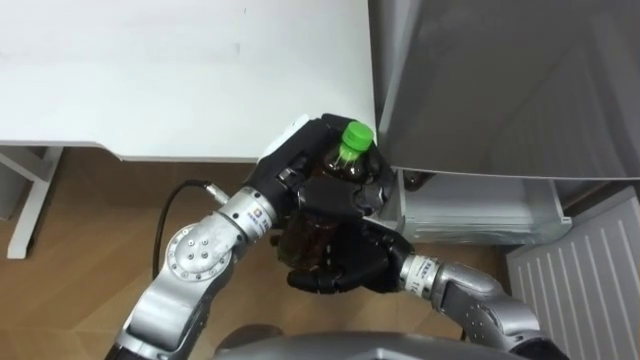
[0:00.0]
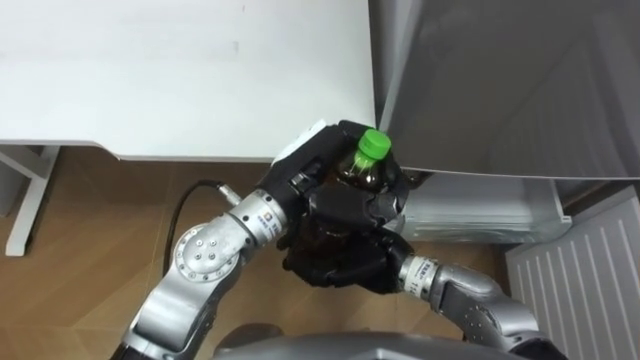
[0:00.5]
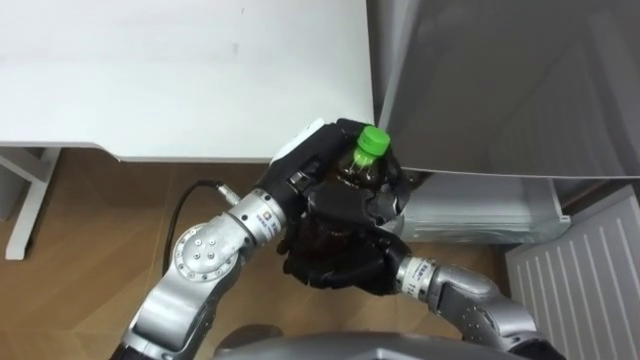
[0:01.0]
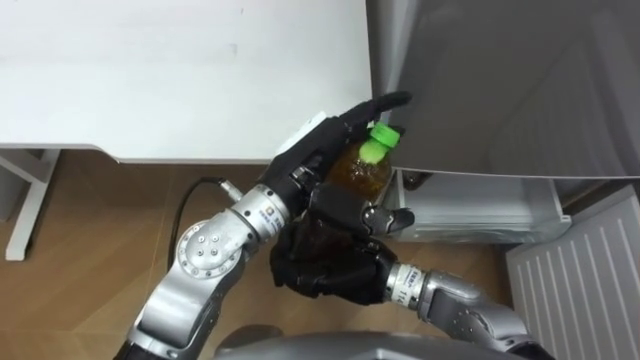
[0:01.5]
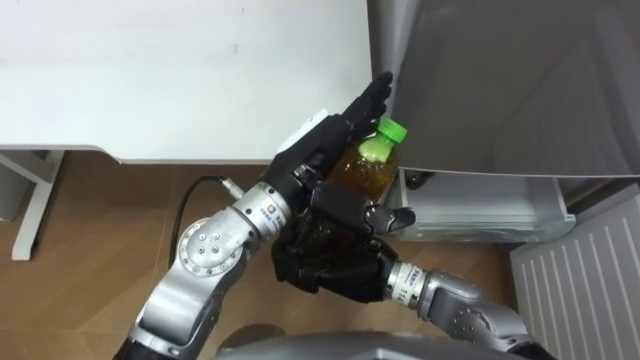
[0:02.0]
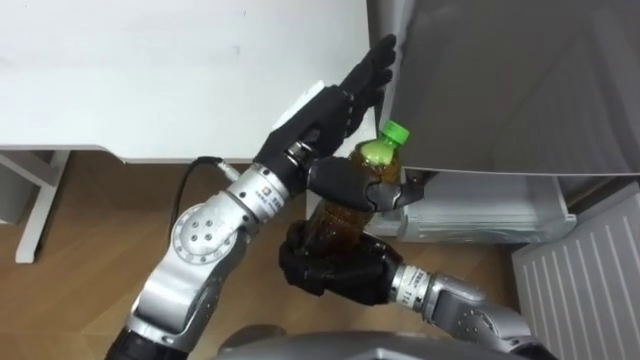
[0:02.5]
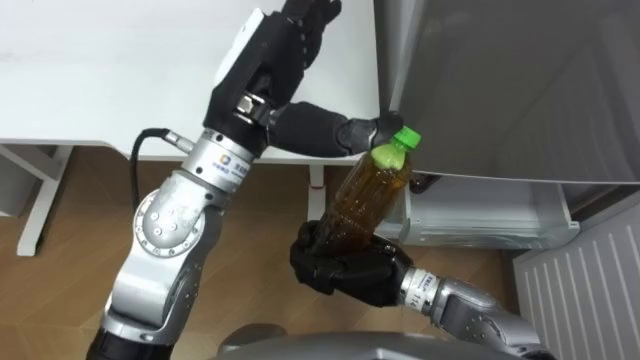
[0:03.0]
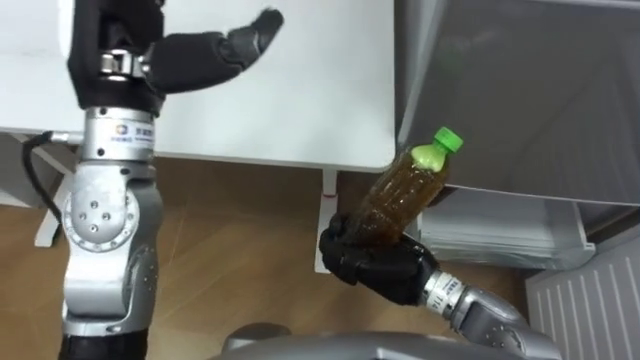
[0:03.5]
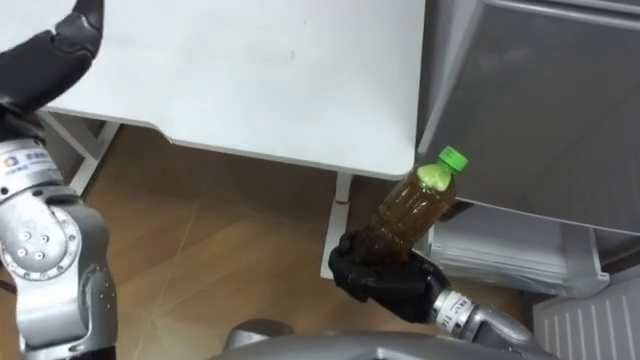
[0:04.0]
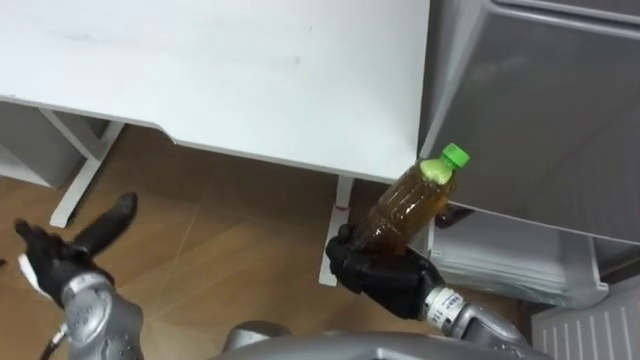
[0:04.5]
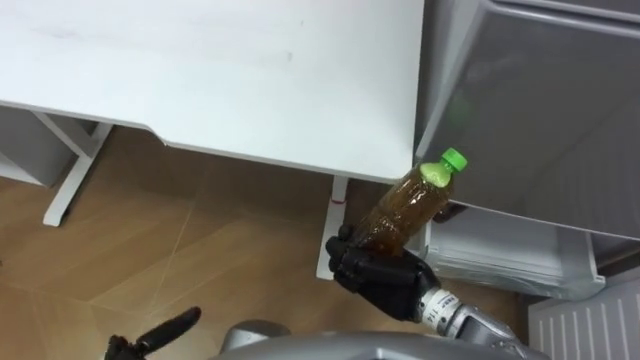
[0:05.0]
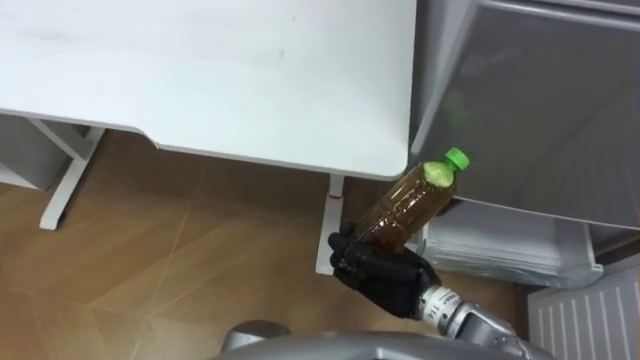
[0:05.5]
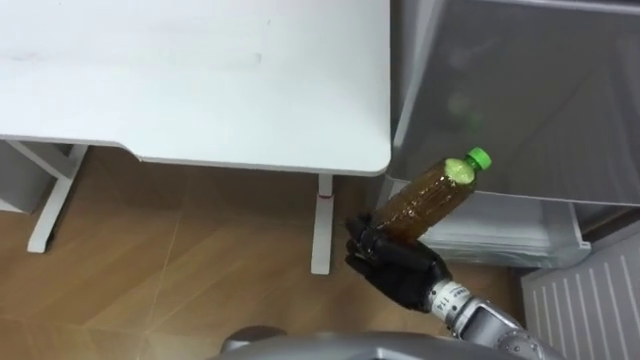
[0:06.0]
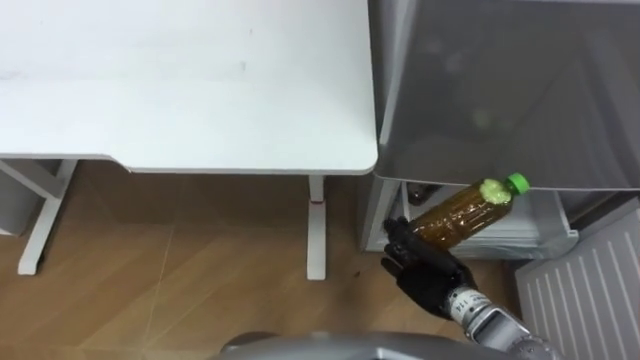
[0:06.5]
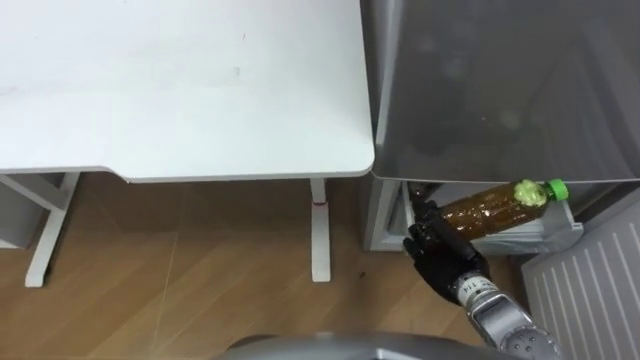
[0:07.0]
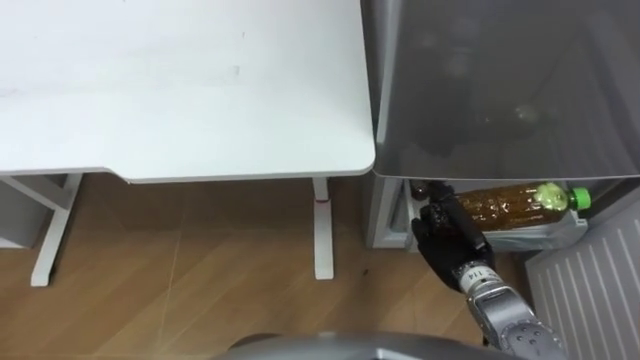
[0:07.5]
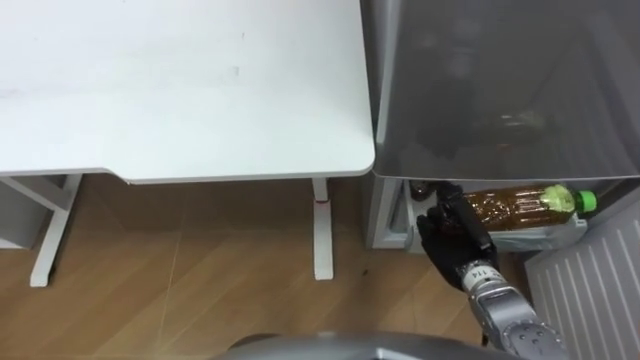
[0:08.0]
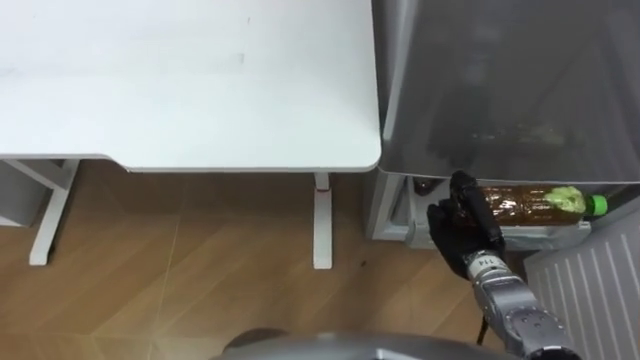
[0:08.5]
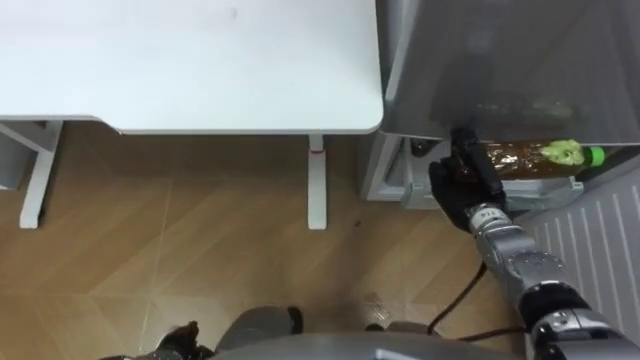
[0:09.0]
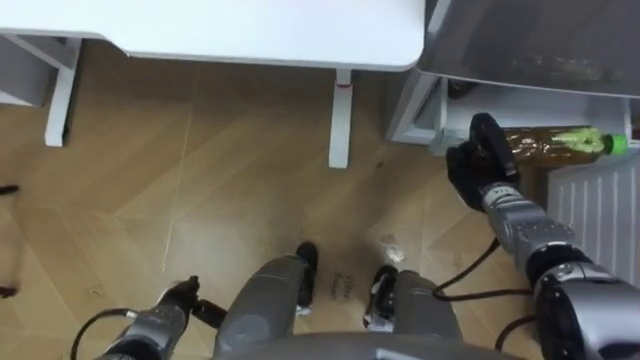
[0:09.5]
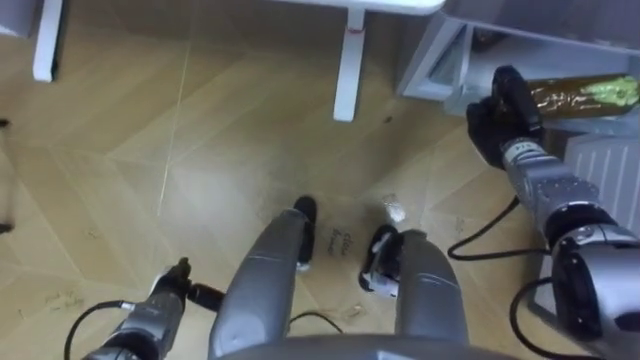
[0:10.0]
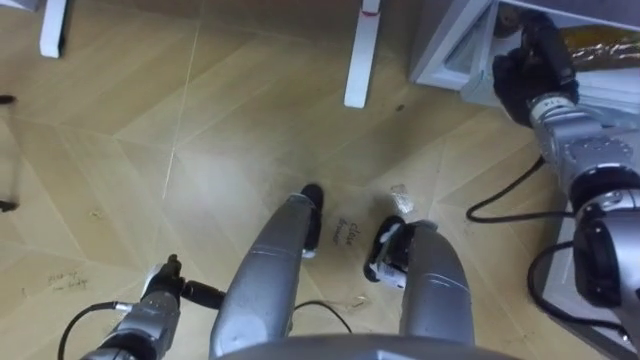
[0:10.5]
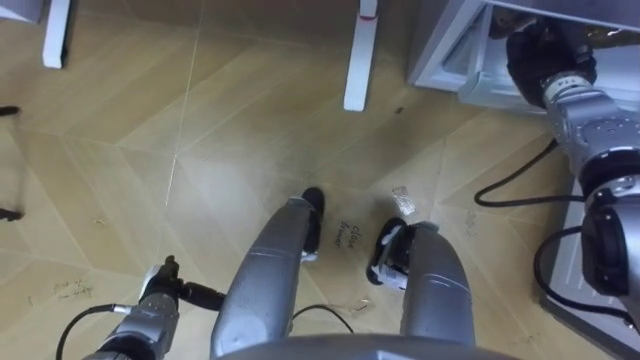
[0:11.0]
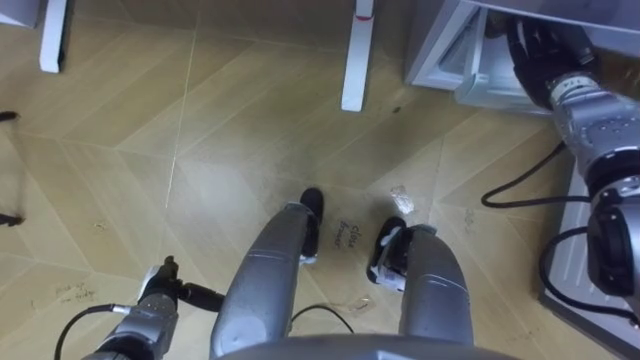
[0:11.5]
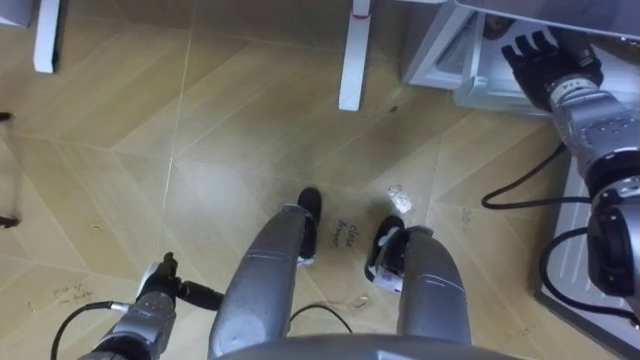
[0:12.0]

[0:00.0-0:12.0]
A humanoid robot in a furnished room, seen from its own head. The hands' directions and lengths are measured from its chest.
Task of the whole recording: Place the drink on the table on the bottom shelf of the refrigerator, then close the drawer and the refrigerator door.
0:00.0 to 0:02.0: The left hand opens its fingers, while the right hand closes its fingers.
0:02.0 to 0:04.0: The right hand heads to the right, covering approximately 5 cm.
0:06.0 to 0:08.0: The right hand travels to the right by about 10 cm.
0:08.0 to 0:10.0: The right hand goes about 15 cm forward and upward.
0:10.0 to 0:12.0: The right hand goes approximately 10 cm upward and forward, and opens up.

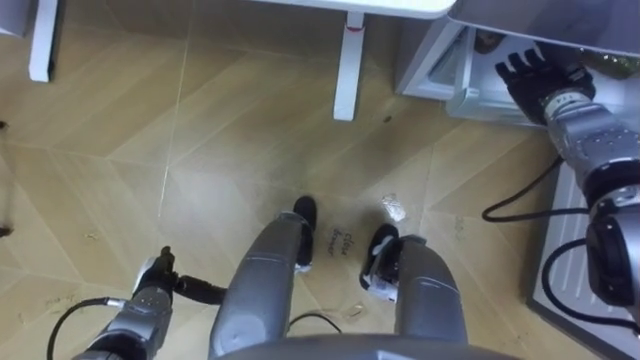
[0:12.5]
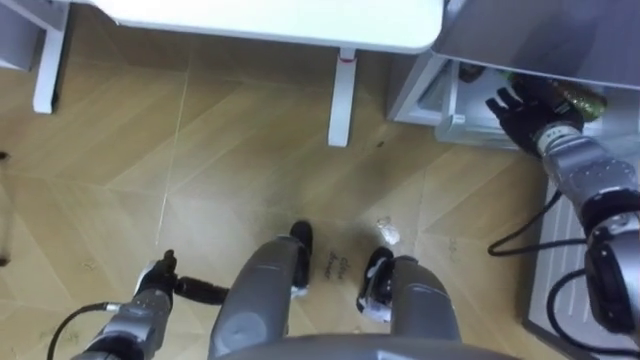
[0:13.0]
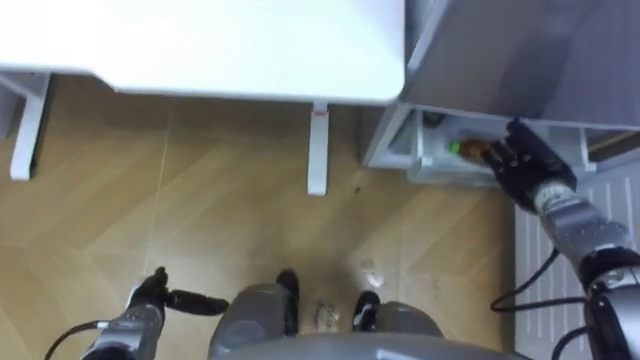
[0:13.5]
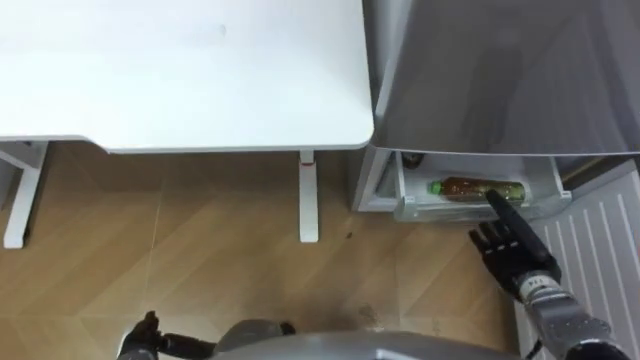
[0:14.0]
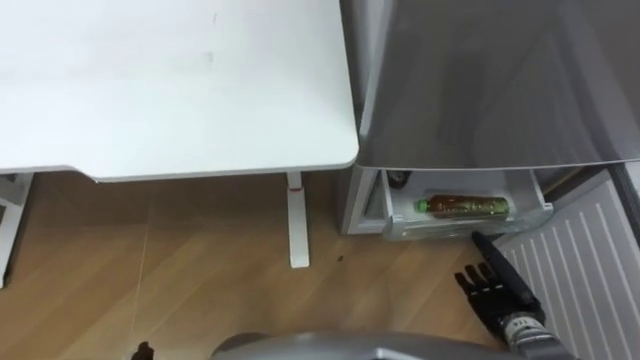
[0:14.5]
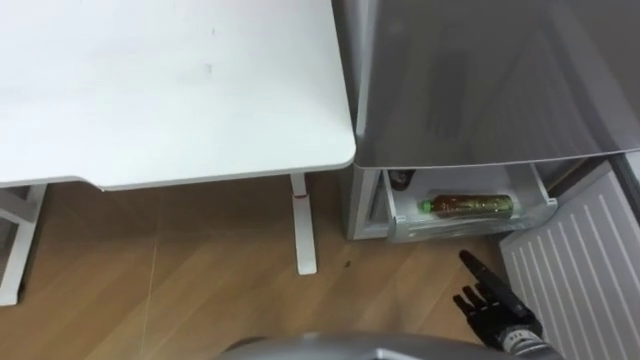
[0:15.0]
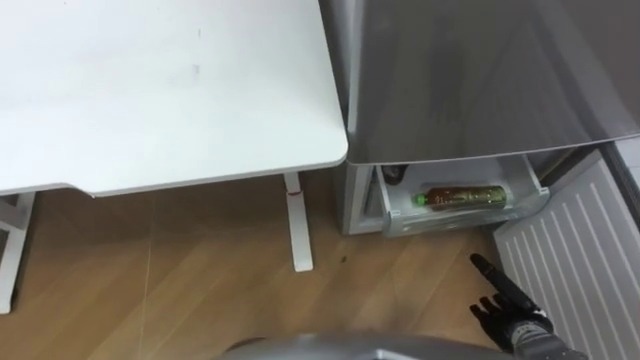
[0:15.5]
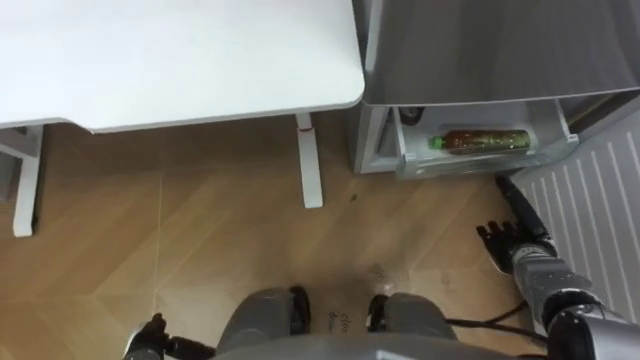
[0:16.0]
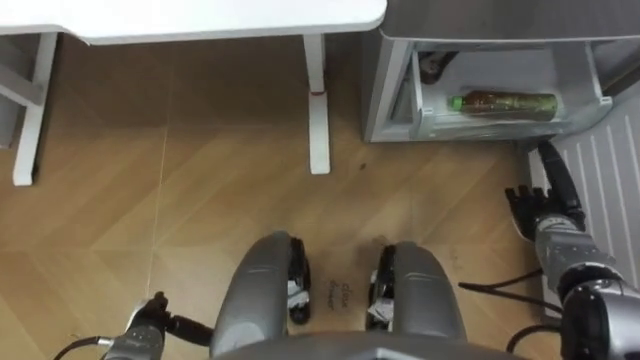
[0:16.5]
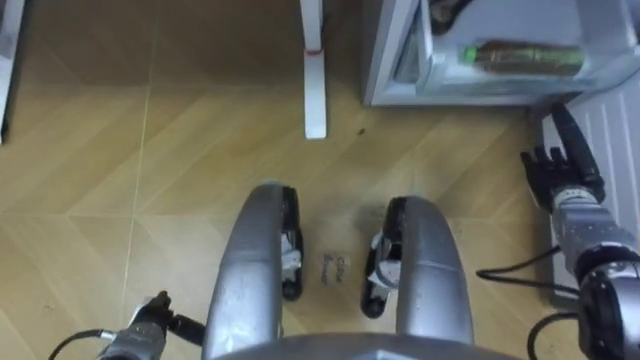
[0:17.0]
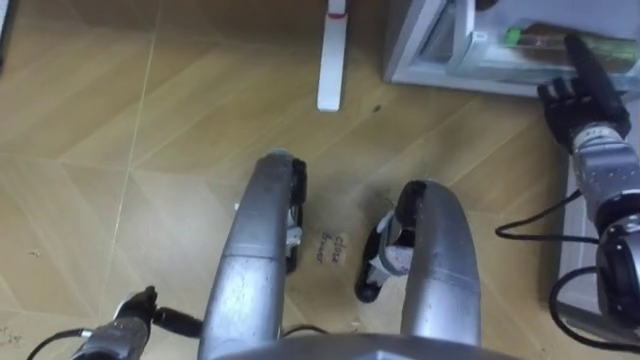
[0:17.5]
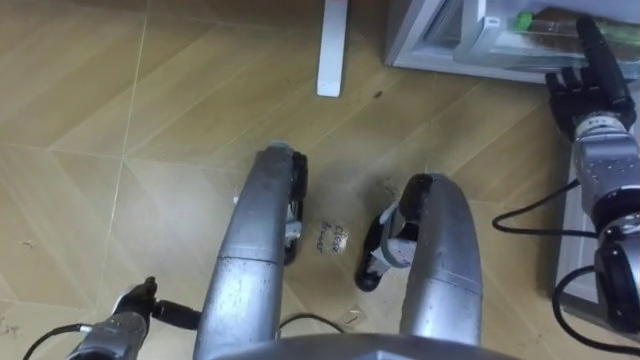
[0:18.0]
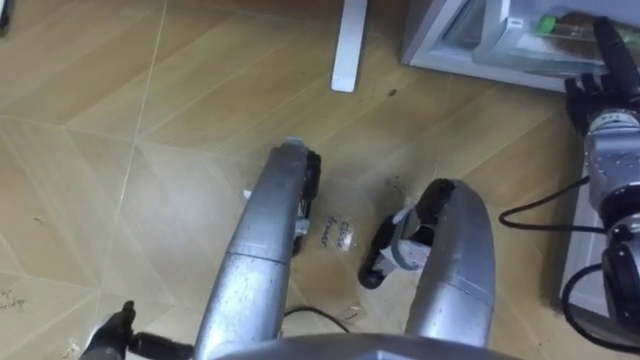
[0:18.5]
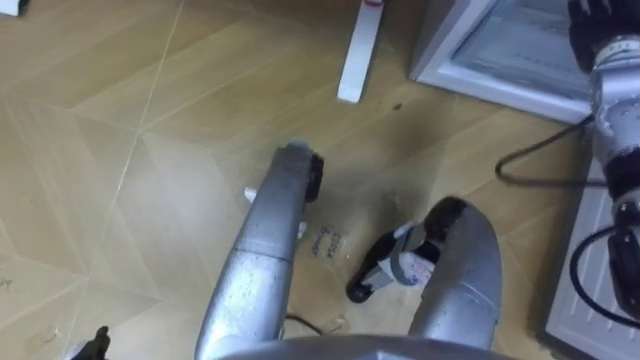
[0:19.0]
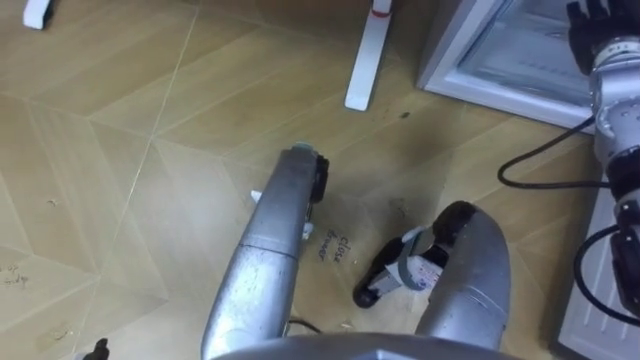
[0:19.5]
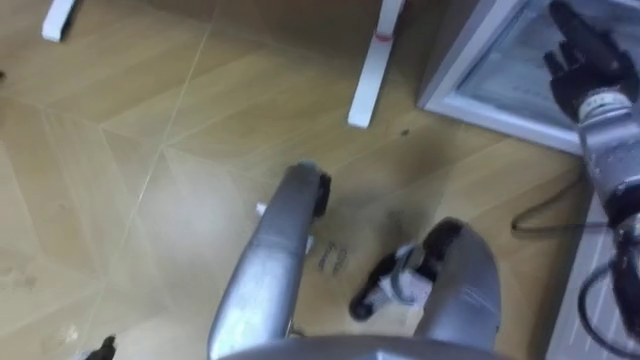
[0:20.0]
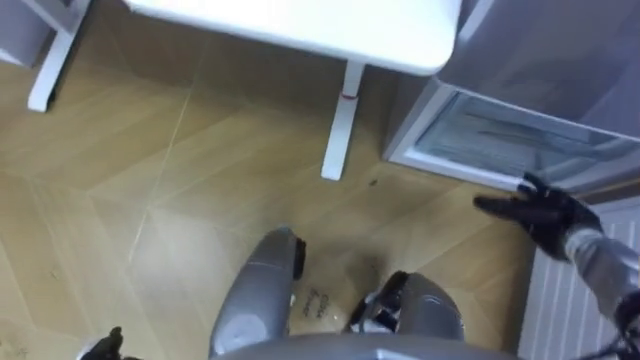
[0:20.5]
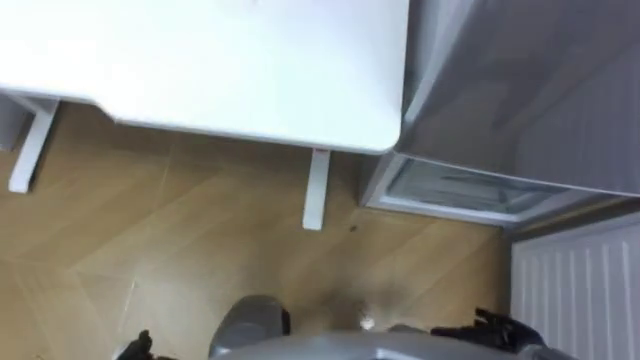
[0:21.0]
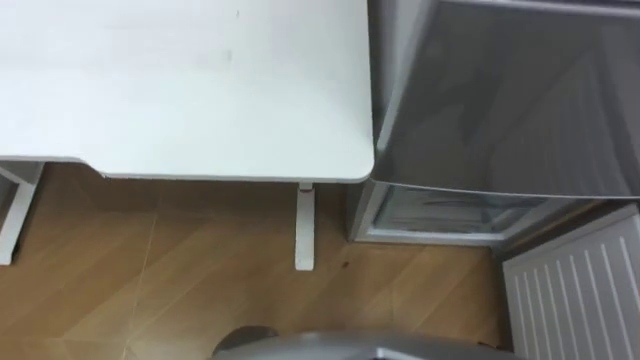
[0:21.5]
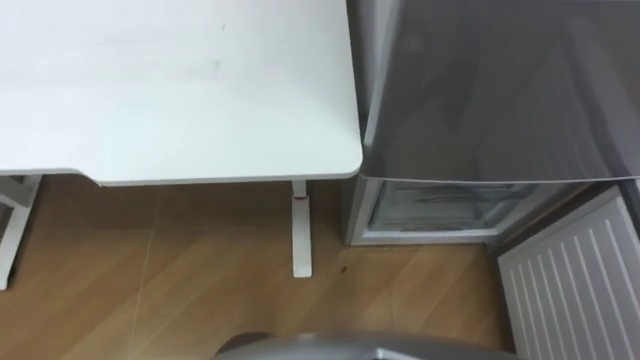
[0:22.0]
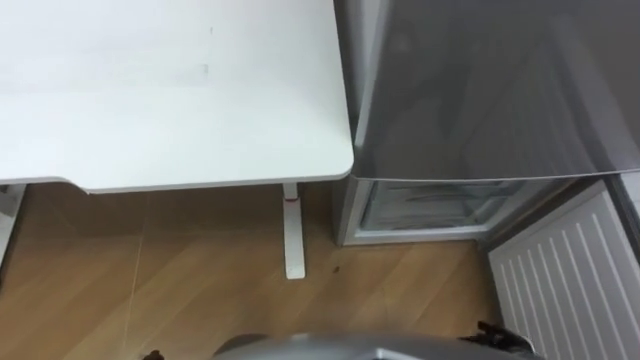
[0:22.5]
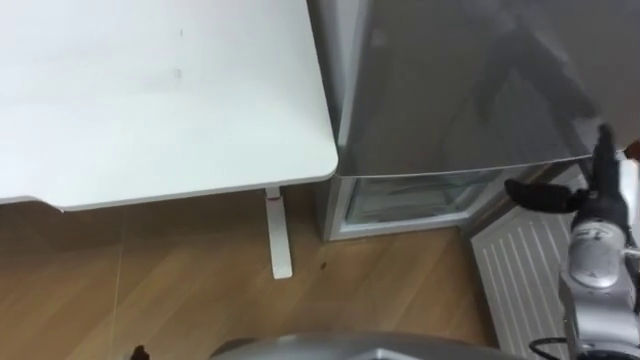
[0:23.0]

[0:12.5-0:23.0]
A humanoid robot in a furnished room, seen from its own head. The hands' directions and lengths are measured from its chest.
Task of the whole recording: Place the drink on the table on the bottom shelf of the refrigerator, then close the drawer and the refrigerator door.
0:12.5 to 0:14.5: The right hand goes approximately 30 cm backward and downward.
0:14.5 to 0:16.5: The right hand moves forward, to the right and upward, roughly 15 cm.
0:16.5 to 0:19.0: The right hand shifts approximately 25 cm upward and forward.
0:19.0 to 0:21.0: The right hand travels backward and downward by approximately 40 cm.
